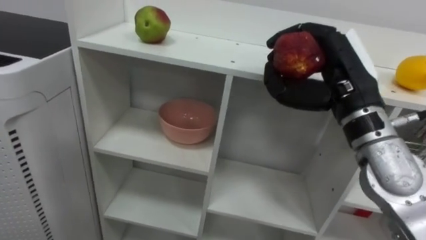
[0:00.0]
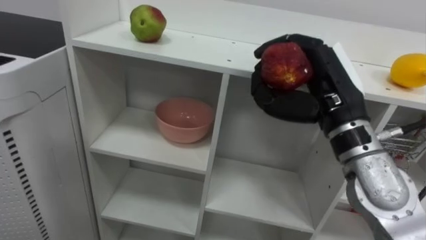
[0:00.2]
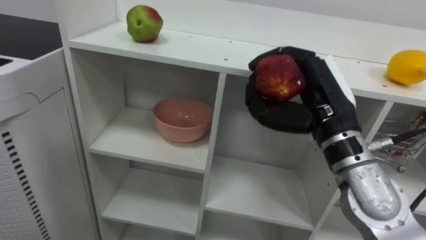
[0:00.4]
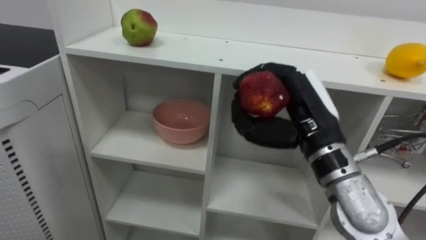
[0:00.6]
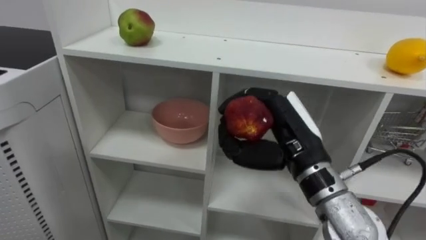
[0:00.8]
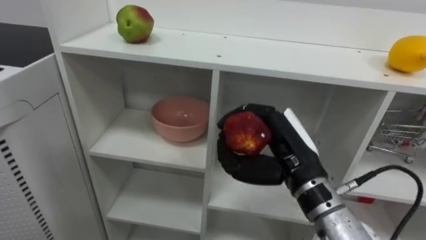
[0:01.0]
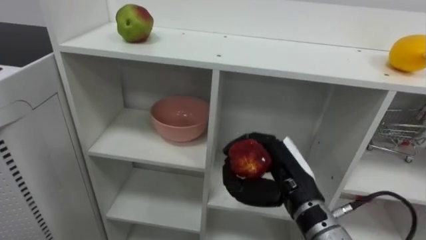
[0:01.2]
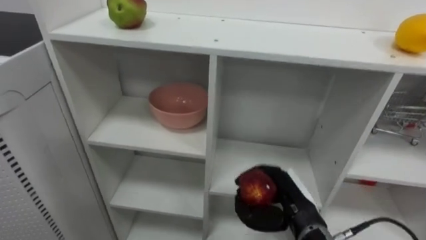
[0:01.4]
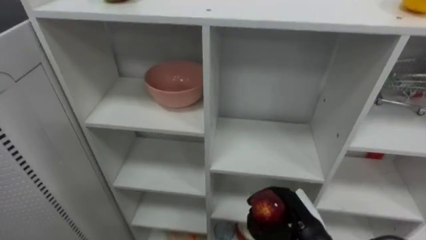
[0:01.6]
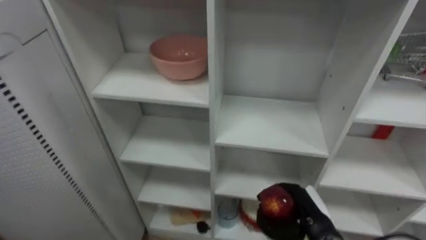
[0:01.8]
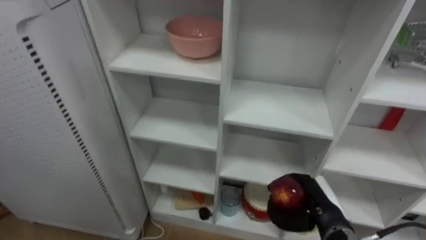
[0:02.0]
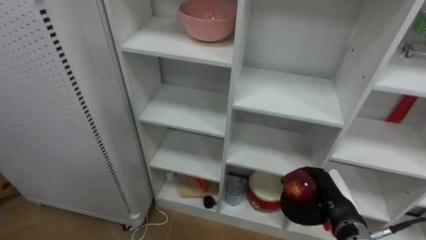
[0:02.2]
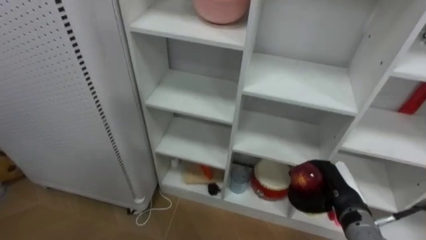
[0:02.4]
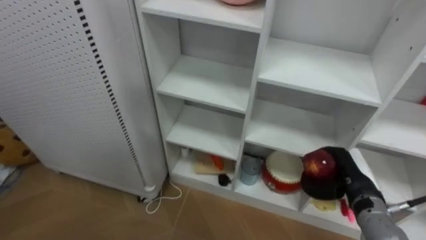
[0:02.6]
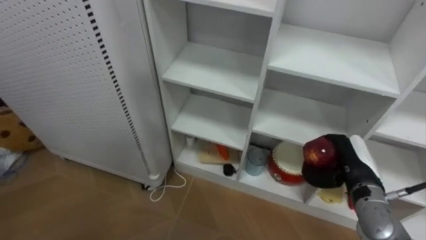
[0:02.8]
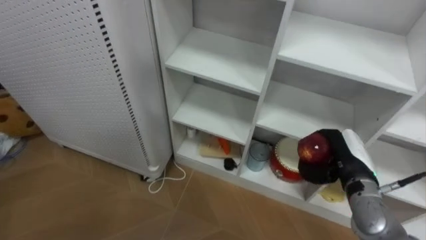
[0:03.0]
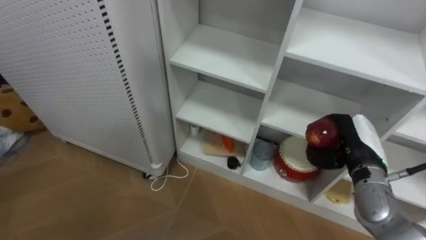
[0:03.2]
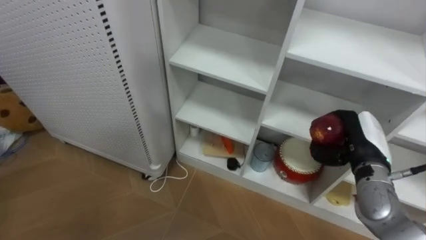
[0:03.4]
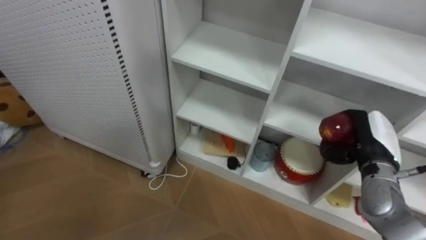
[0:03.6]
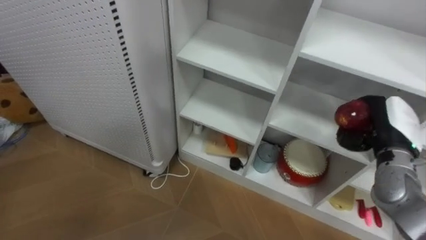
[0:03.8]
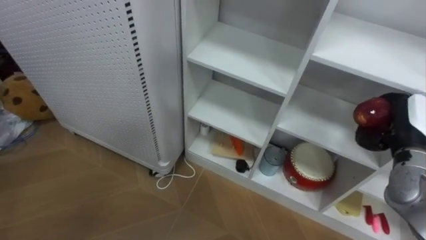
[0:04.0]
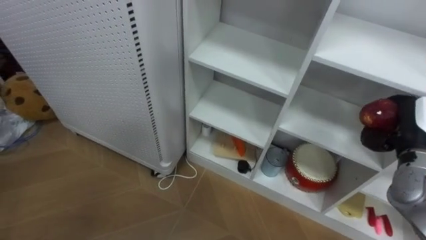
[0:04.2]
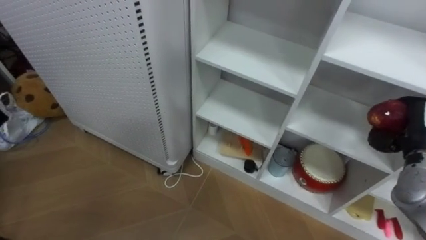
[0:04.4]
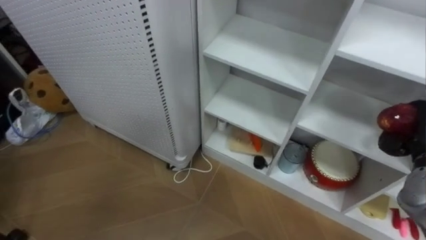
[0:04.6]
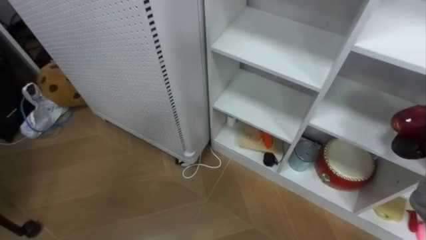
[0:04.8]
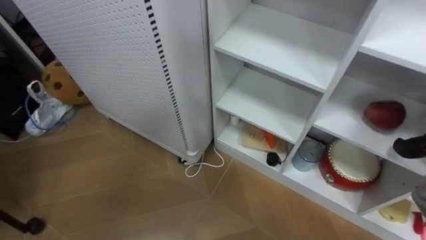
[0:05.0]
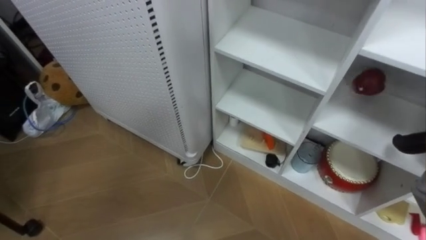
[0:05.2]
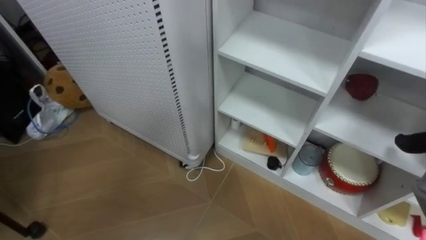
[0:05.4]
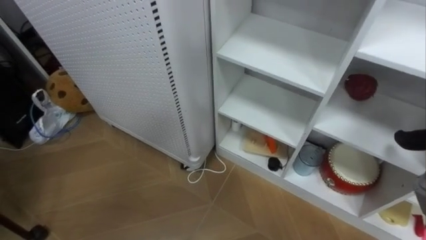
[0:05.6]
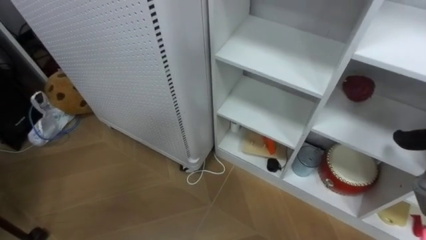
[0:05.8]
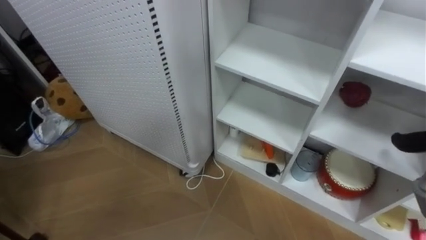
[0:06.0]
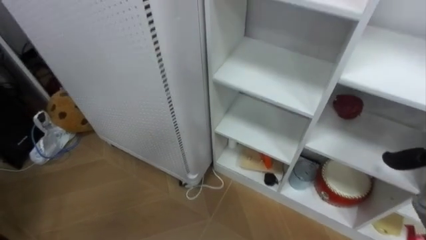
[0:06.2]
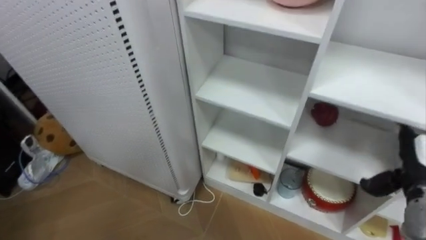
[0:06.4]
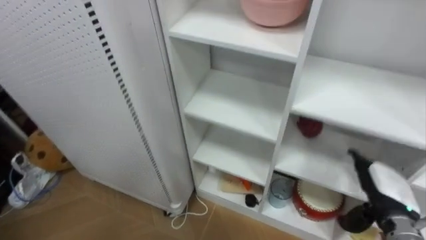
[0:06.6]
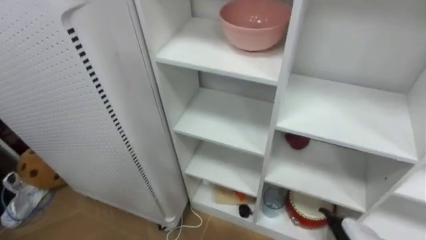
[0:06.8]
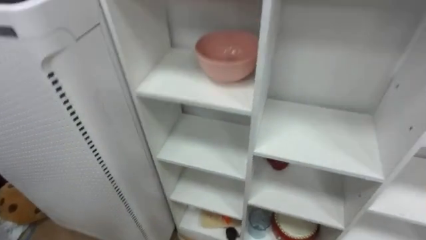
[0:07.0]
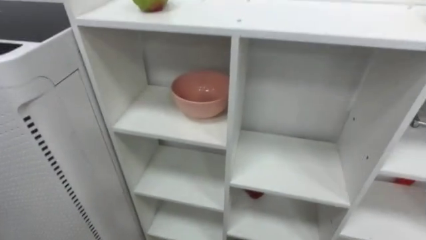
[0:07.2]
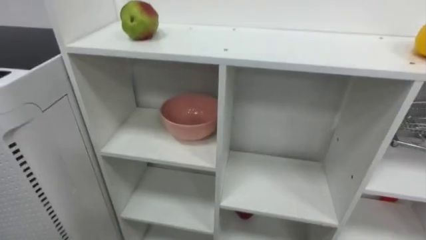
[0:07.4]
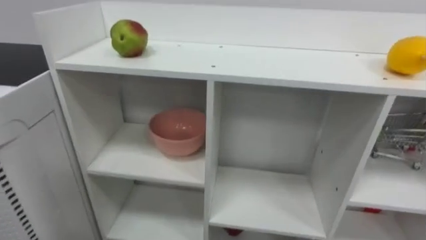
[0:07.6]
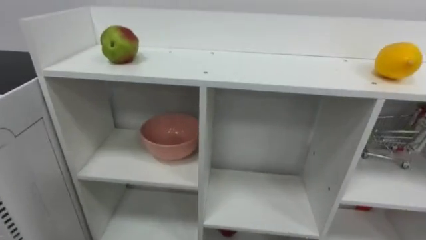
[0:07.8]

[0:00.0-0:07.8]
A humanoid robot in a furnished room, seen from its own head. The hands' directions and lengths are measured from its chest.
Task of the whole recording: Put the apple in the cell in the second column from the left and the second row from the top.
0:00.0 to 0:01.6: The right hand shifts roughly 25 cm downward.
0:01.6 to 0:03.2: The right hand travels upward, to the right and forward by roughly 15 cm.
0:03.2 to 0:04.6: The right hand goes about 10 cm to the right.

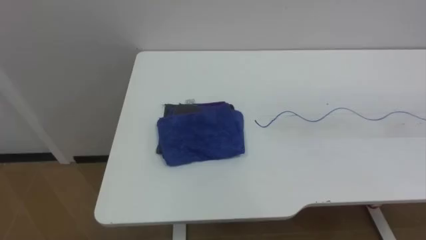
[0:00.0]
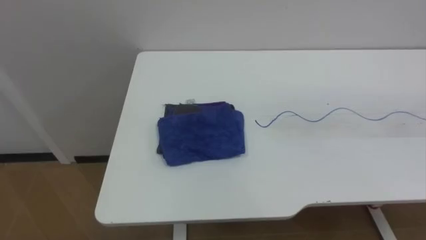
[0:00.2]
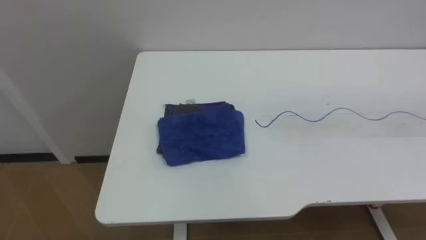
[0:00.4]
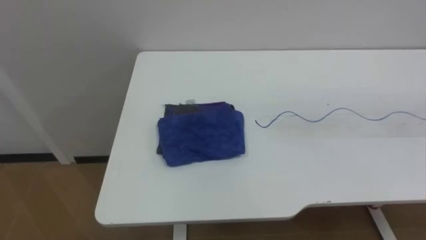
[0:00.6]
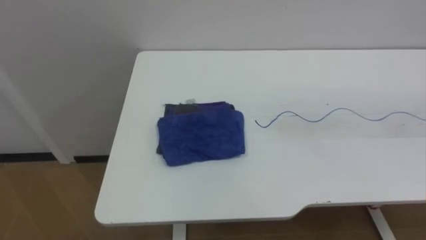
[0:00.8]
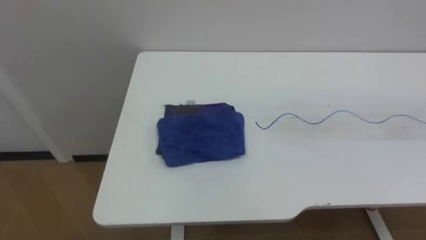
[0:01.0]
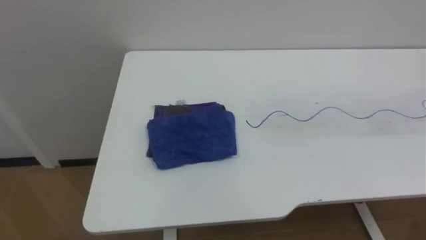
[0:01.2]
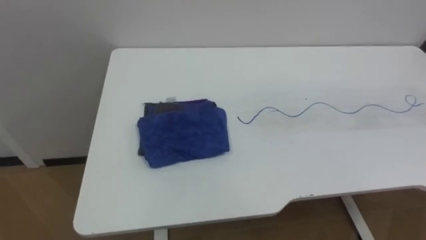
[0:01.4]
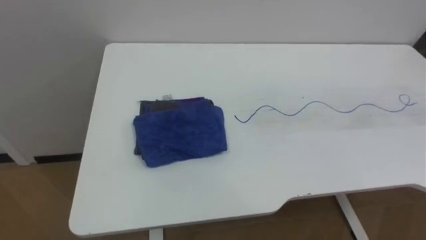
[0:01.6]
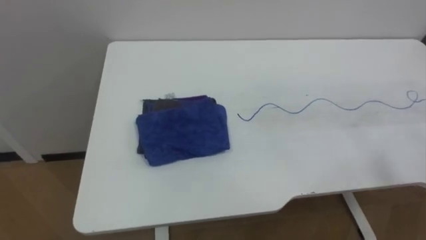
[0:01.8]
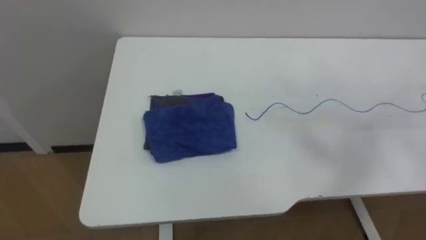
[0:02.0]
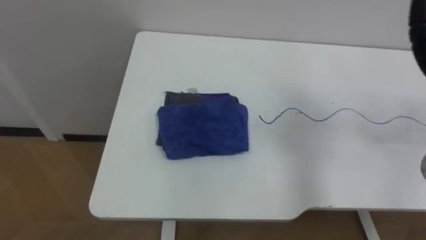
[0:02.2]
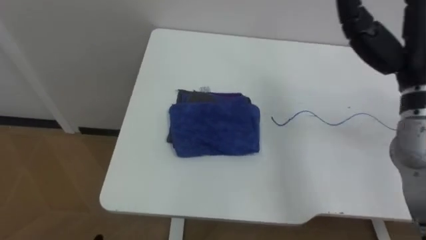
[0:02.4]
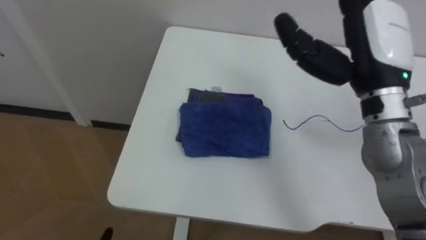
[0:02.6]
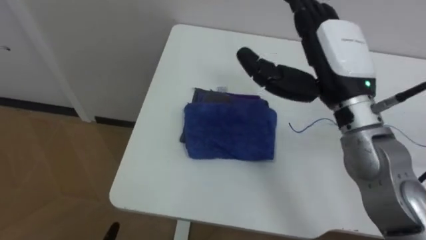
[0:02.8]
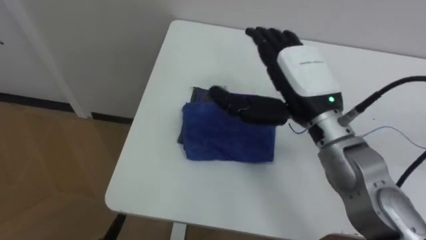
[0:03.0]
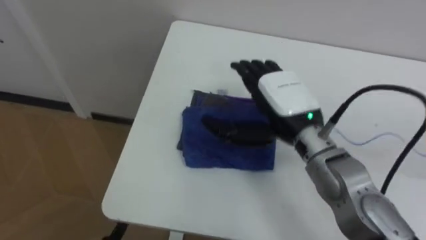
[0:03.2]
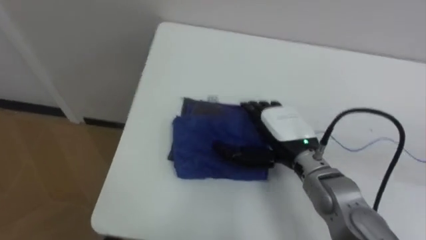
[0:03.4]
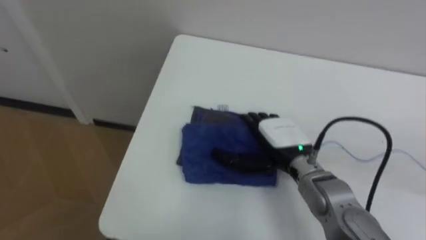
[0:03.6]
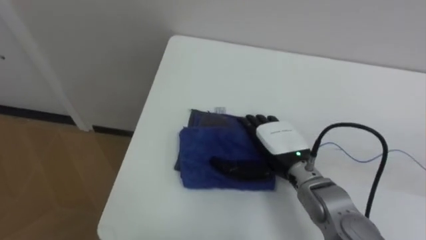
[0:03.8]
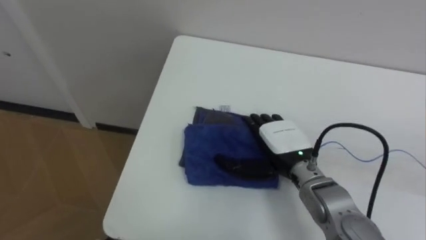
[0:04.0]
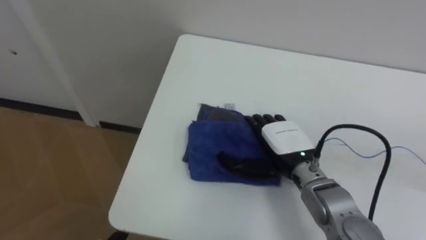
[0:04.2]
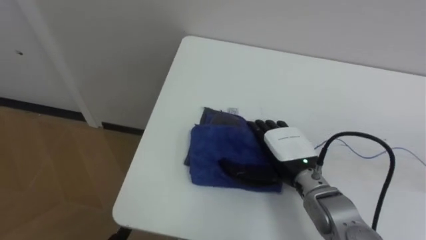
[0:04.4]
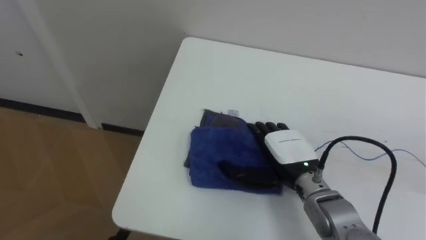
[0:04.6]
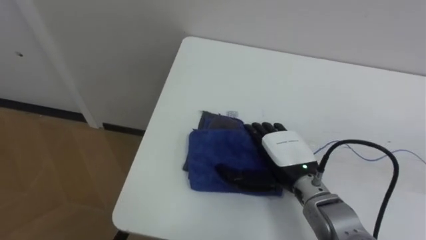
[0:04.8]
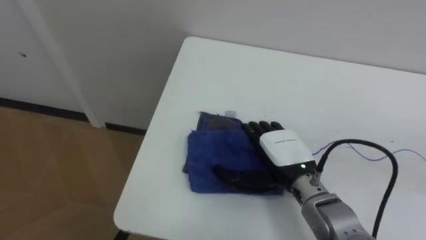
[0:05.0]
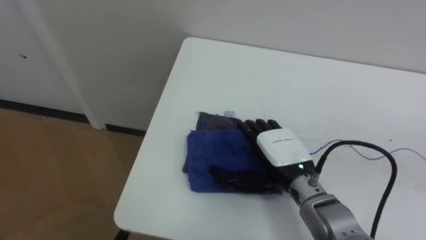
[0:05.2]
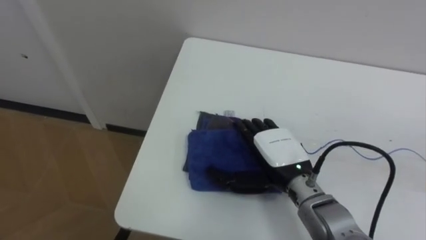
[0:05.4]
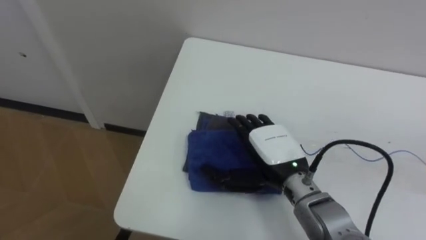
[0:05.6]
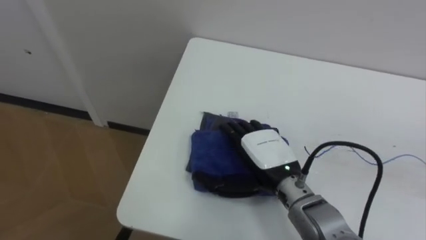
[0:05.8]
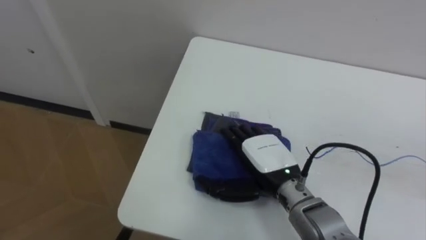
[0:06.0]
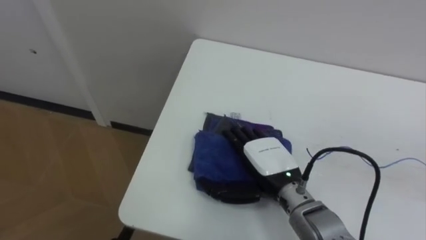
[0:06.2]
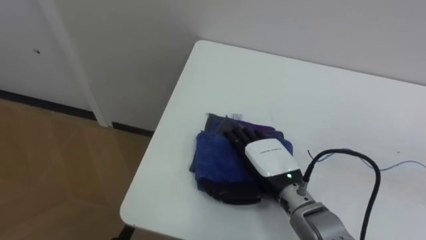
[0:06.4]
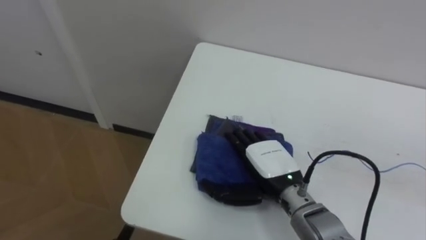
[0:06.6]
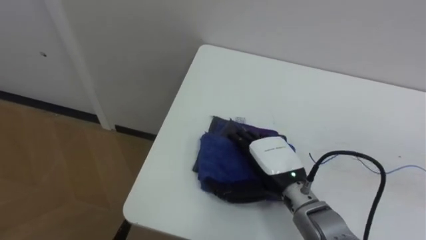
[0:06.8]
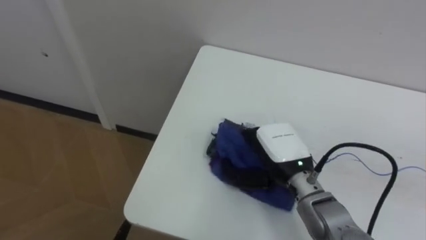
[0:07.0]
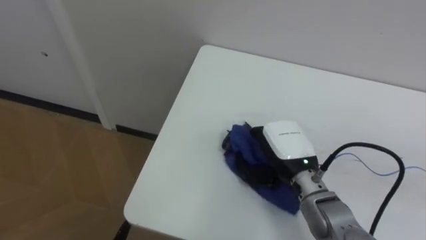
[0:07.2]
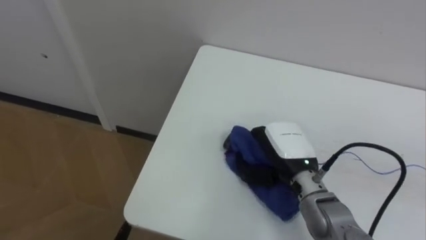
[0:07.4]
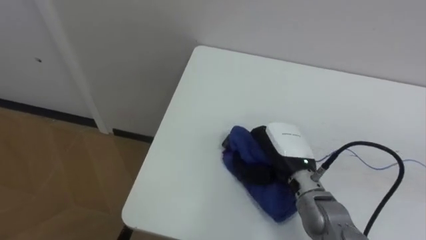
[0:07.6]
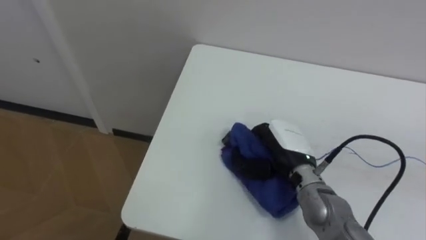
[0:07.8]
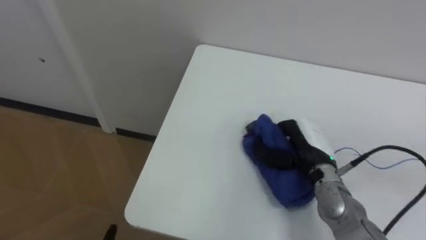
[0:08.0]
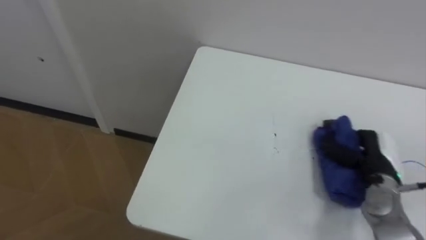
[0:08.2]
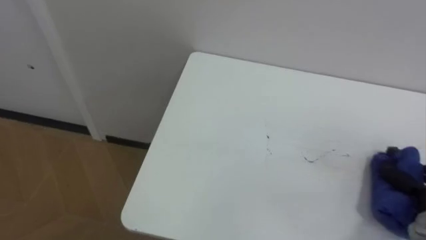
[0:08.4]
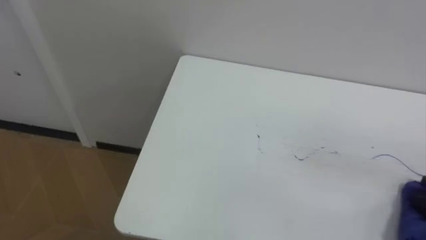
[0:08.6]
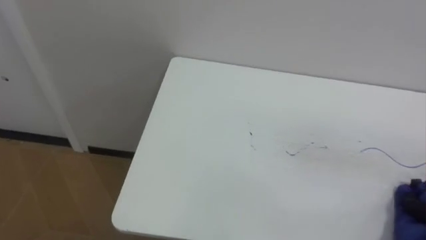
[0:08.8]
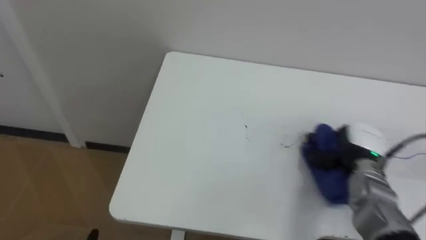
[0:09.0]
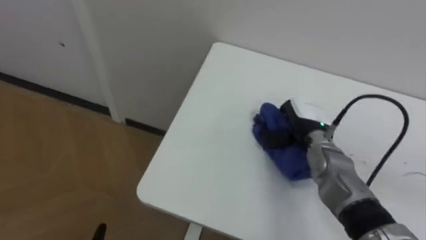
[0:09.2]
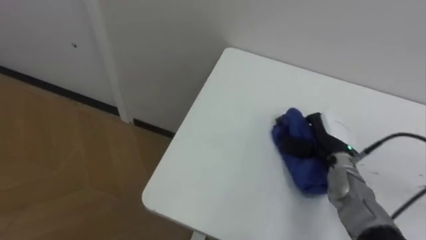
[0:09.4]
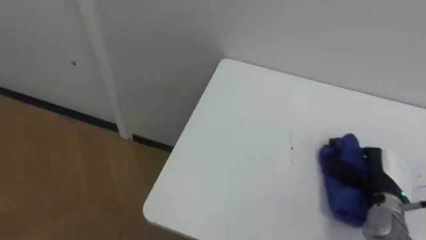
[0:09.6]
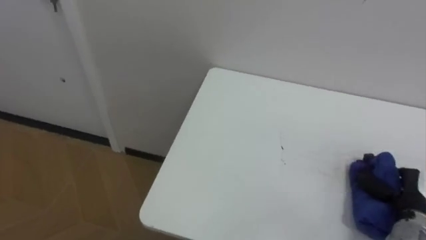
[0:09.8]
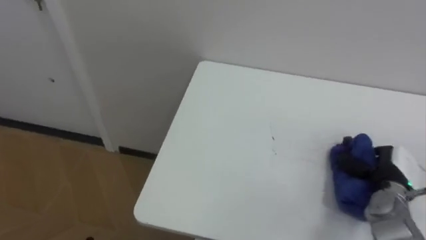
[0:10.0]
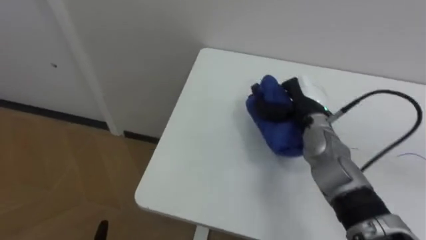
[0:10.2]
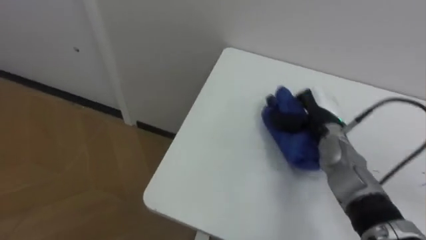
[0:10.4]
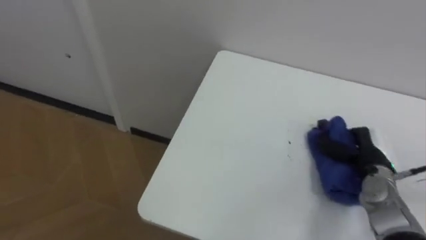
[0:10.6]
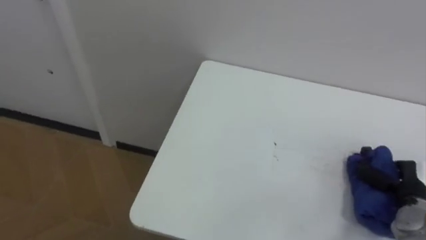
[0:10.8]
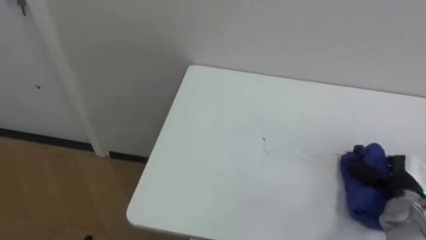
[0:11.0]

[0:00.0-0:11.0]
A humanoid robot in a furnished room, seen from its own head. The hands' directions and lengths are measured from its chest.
Task of the whole recording: Wipe the blue pen marks off the table with the rag.
0:03.2 to 0:04.8: The right hand heads downward, covering approximately 10 cm.
0:06.2 to 0:07.8: The right hand closes up.
0:09.4 to 0:11.0: The right hand moves left and right over approximately 20 cm, changing direction 2 times.
